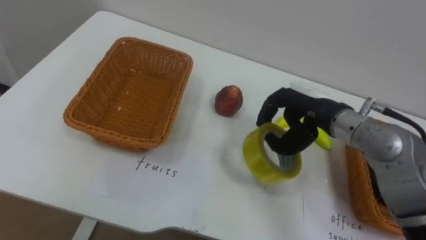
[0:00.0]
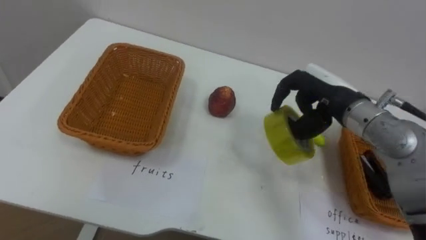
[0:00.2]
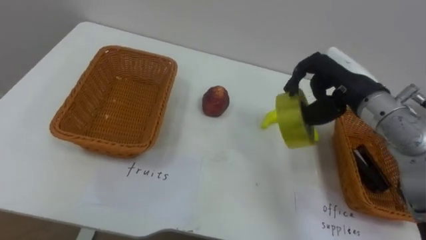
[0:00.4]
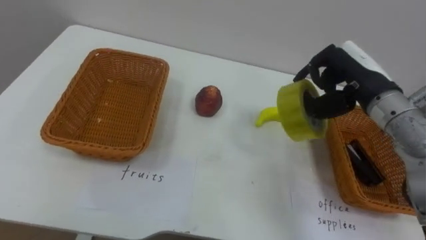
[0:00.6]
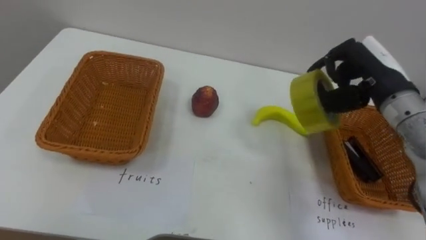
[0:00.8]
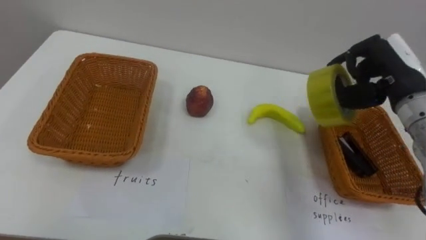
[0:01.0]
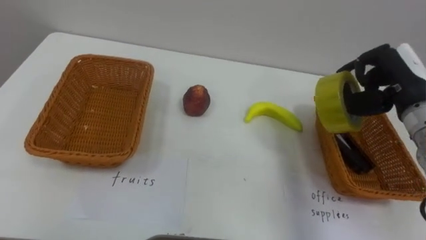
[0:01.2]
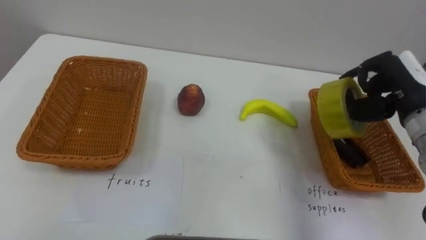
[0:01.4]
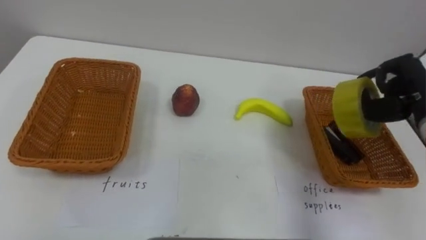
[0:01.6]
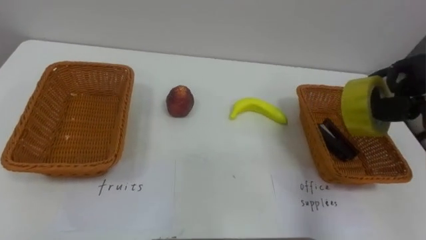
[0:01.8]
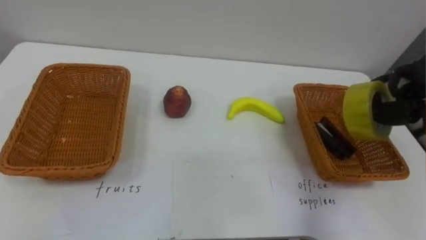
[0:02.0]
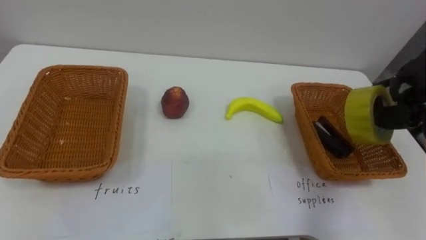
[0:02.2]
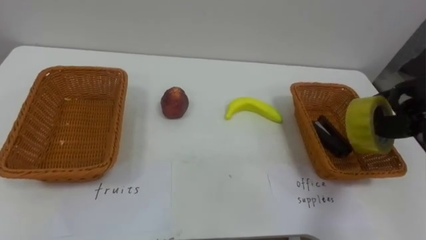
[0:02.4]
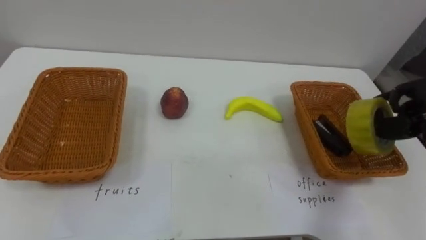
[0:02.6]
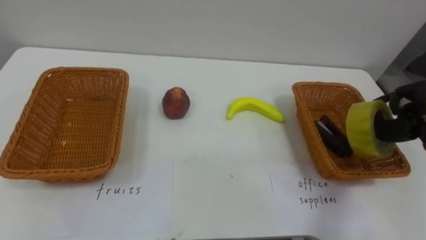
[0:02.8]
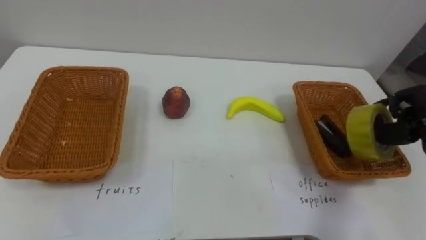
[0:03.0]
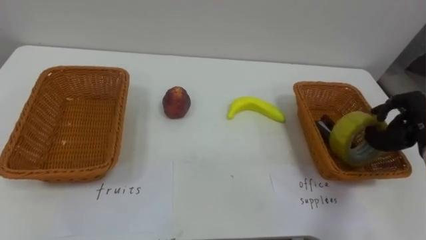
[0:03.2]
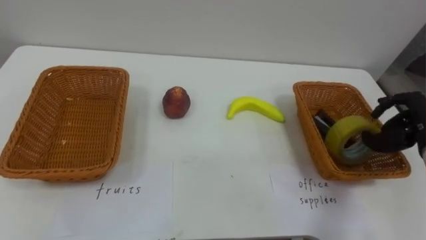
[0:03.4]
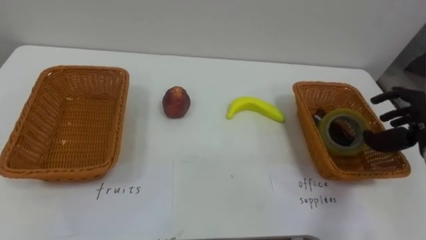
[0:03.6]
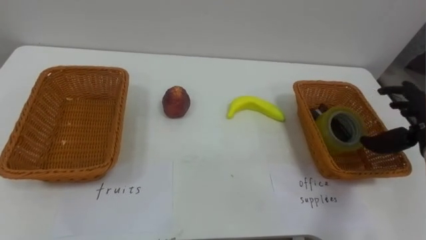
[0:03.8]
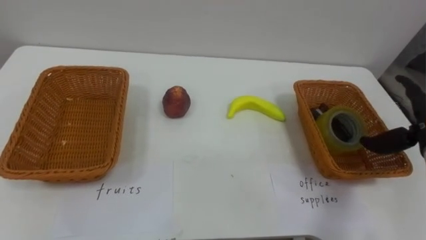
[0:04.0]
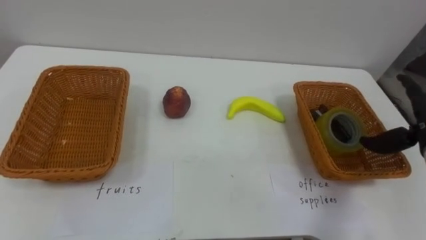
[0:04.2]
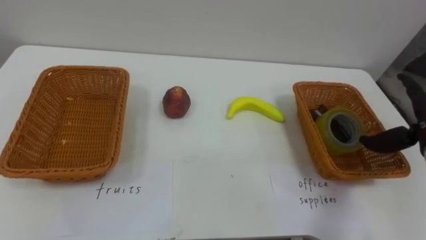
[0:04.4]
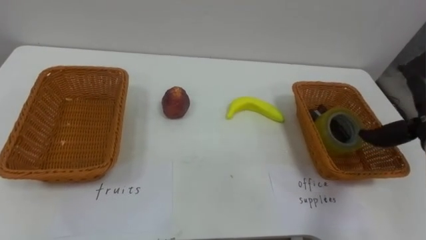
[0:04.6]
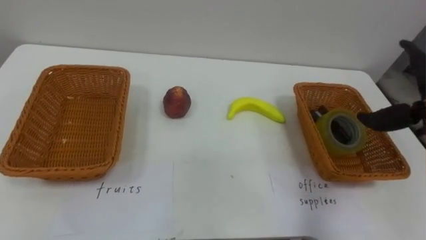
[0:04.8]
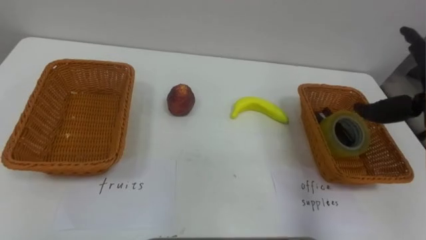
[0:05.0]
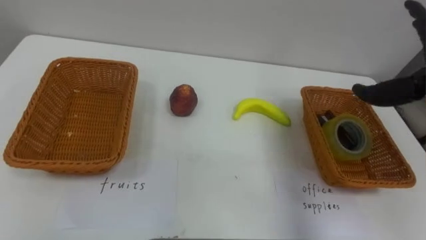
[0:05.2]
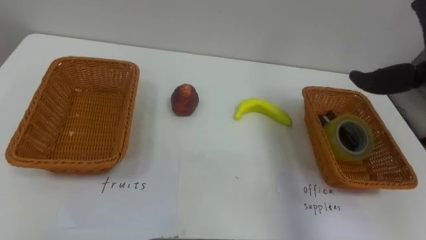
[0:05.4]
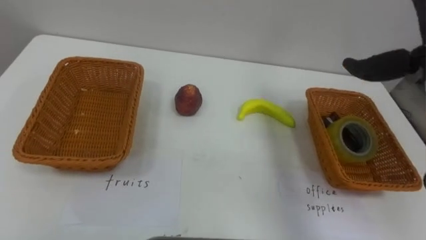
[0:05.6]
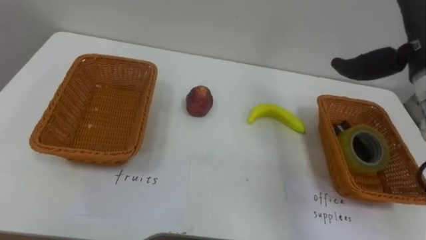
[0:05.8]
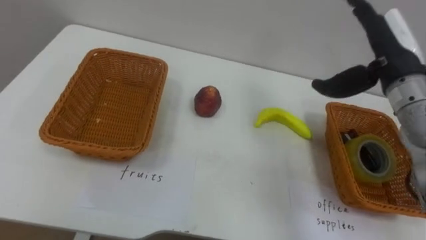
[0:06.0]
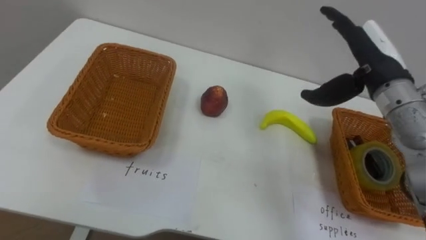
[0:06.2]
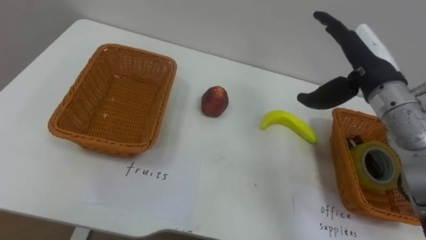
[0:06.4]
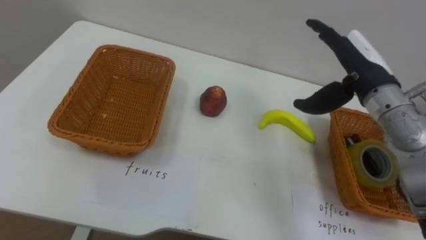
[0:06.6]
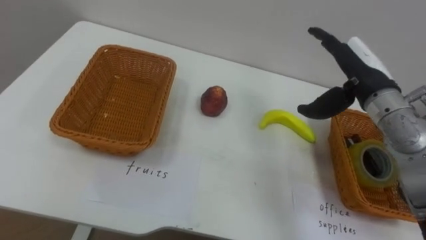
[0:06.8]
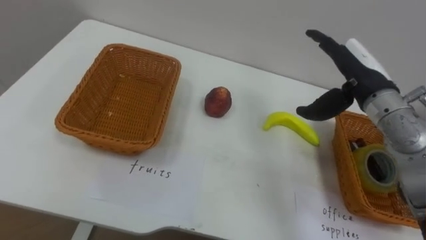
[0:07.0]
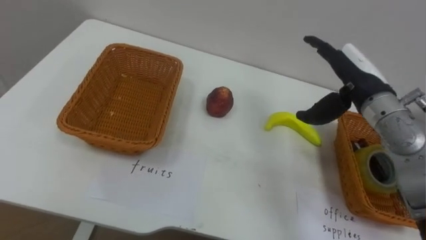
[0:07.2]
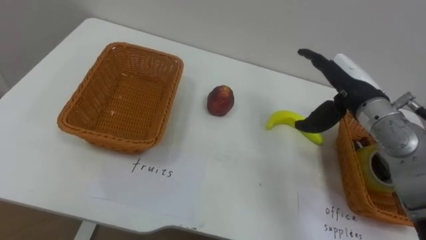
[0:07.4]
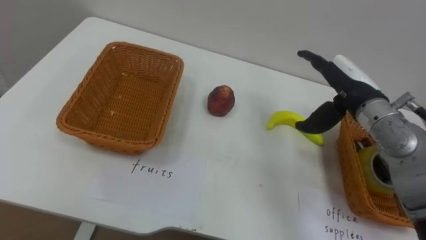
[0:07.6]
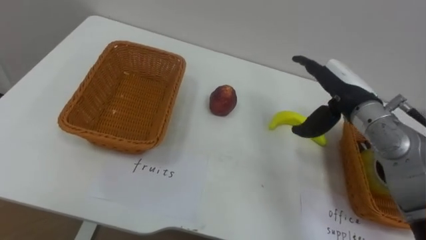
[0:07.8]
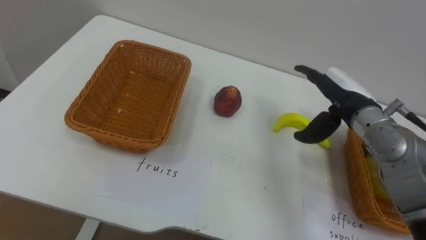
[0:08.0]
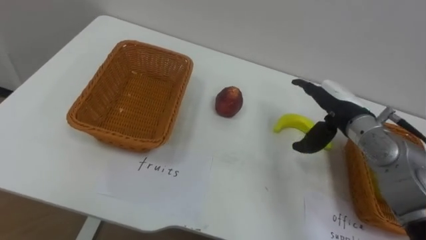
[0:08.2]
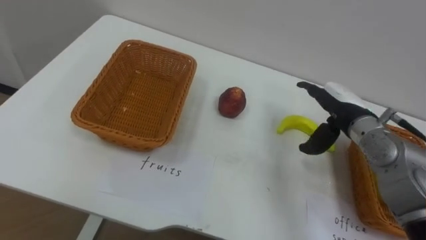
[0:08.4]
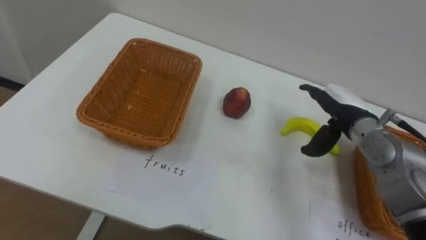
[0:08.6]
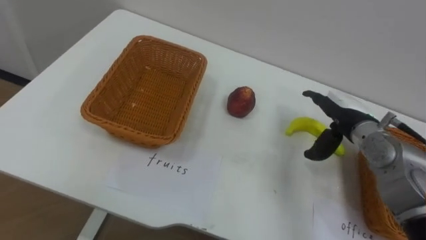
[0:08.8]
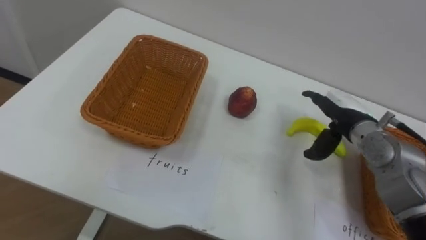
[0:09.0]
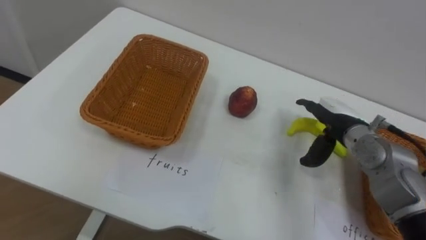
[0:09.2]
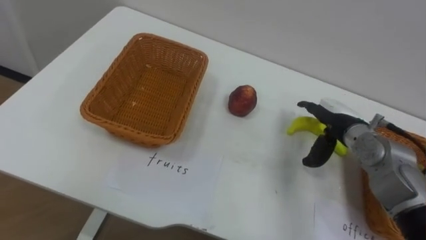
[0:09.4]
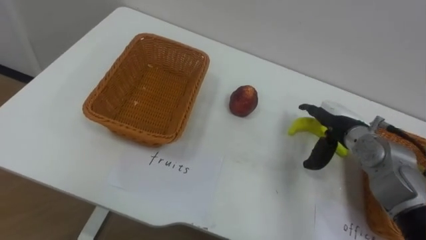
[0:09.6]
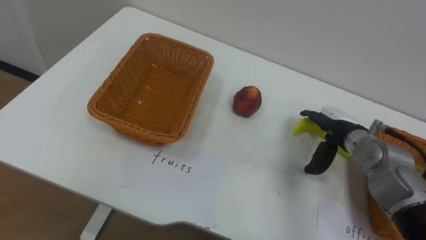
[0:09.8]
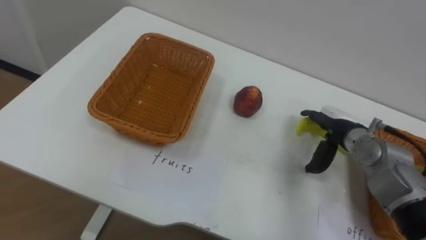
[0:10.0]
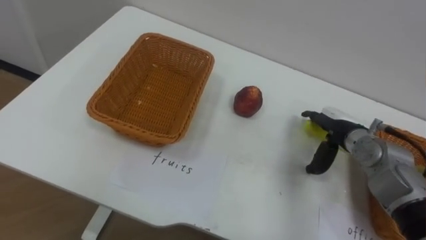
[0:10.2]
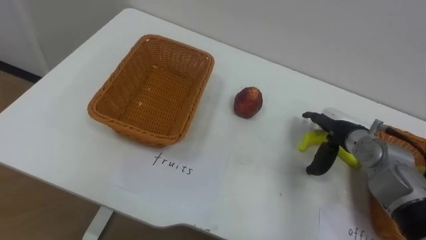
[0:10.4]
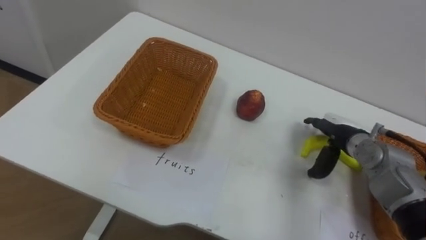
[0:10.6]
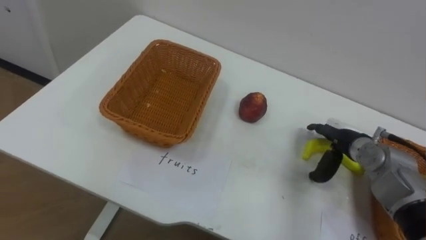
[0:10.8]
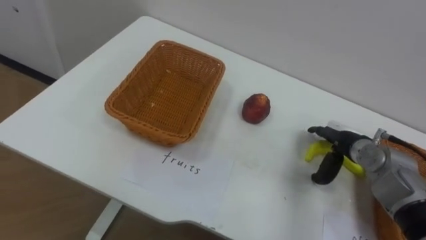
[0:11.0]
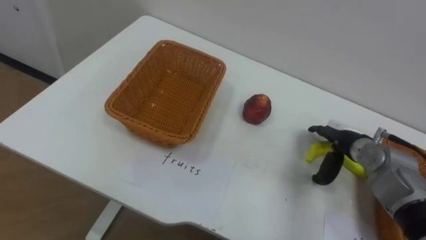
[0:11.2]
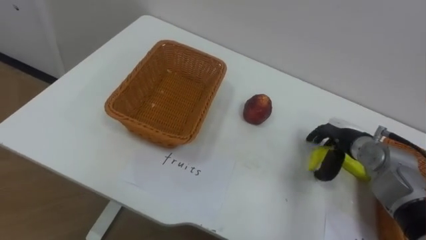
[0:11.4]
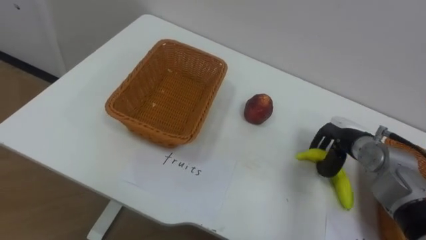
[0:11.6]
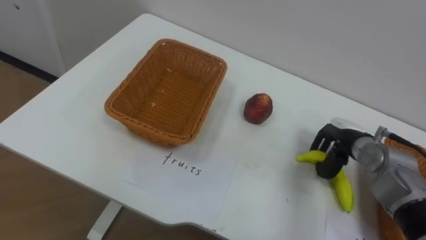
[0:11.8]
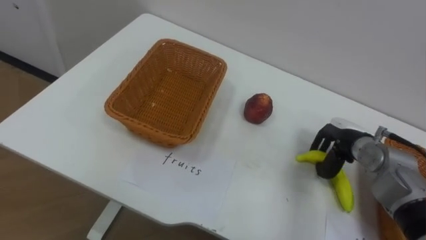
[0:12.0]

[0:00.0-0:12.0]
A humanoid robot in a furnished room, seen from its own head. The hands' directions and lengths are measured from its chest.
Task of the whole recording: Separate the items on the table and place them into the two baskets.
0:00.0 to 0:01.6: The right hand moves to the right, roughly 15 cm.
0:06.0 to 0:07.6: The right hand travels downward by some 5 cm.
0:07.6 to 0:09.0: The right hand is displaced downward by some 5 cm.
0:10.4 to 0:12.0: The right hand closes up.

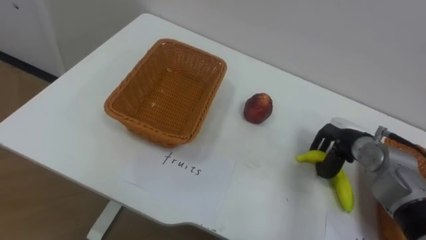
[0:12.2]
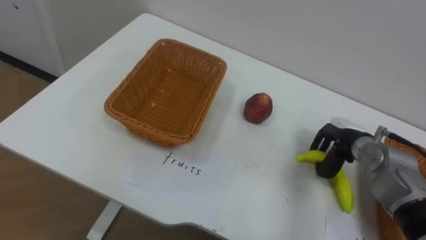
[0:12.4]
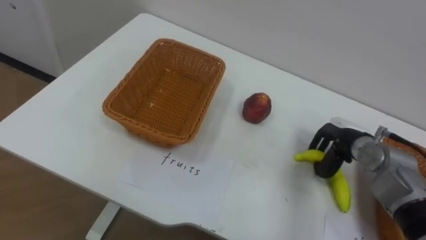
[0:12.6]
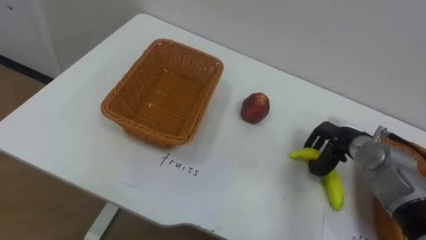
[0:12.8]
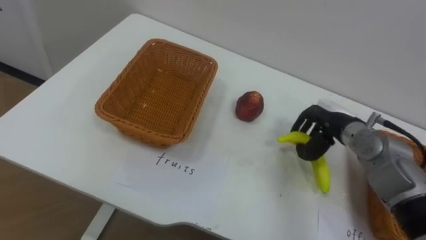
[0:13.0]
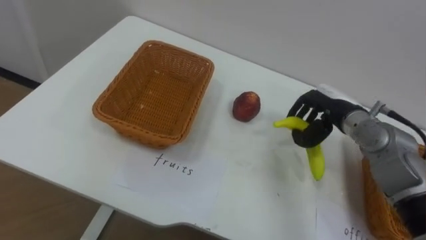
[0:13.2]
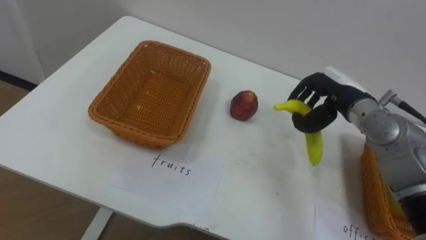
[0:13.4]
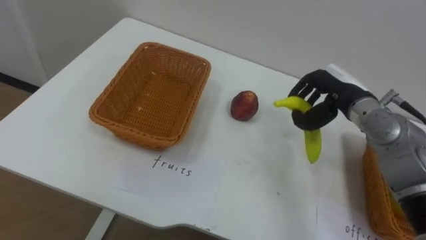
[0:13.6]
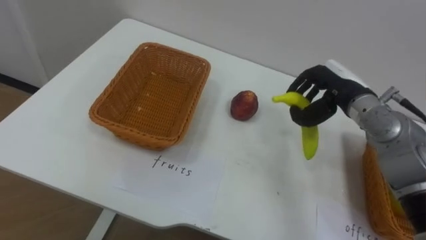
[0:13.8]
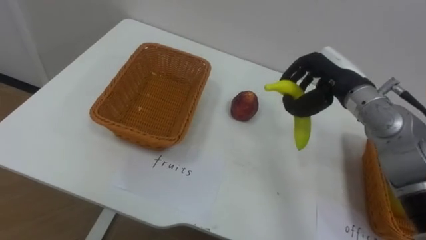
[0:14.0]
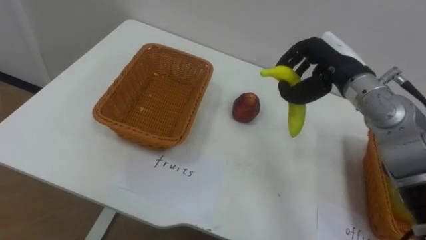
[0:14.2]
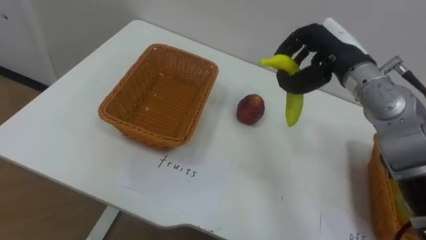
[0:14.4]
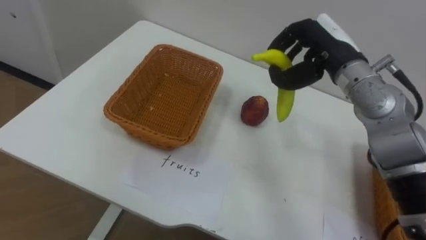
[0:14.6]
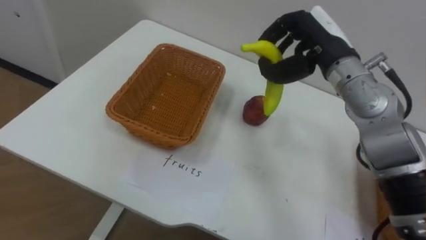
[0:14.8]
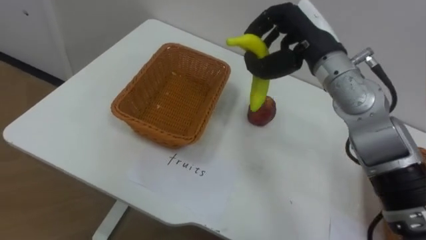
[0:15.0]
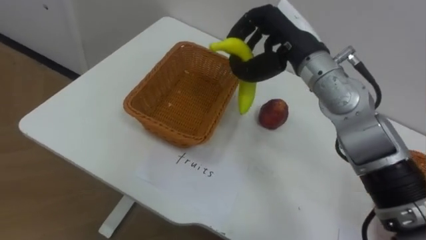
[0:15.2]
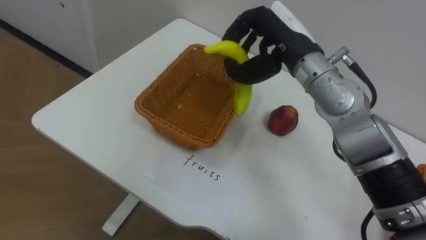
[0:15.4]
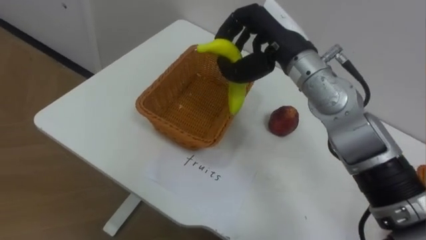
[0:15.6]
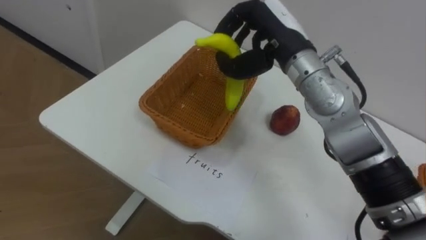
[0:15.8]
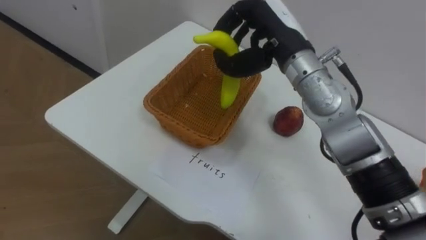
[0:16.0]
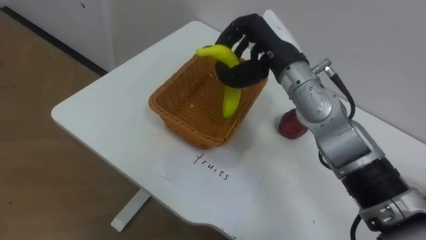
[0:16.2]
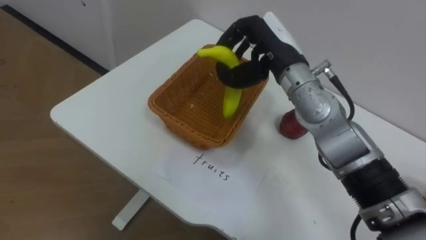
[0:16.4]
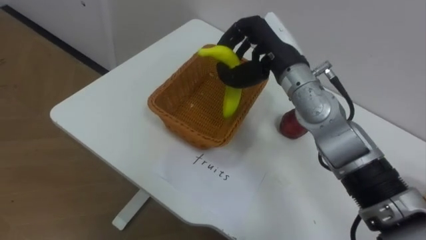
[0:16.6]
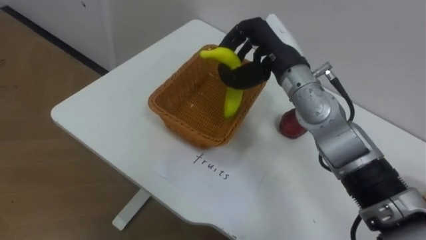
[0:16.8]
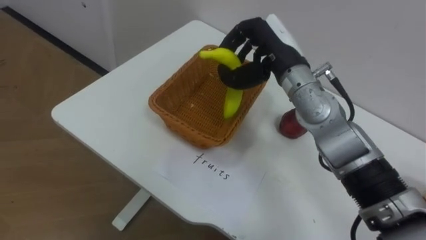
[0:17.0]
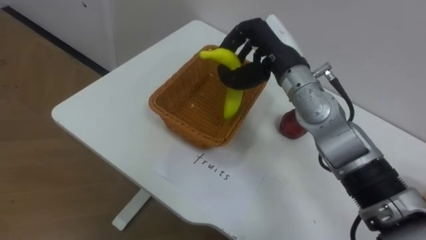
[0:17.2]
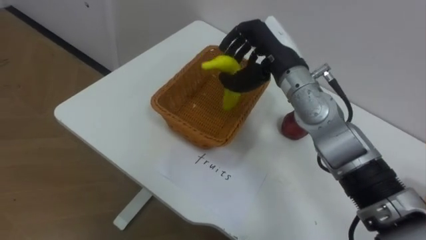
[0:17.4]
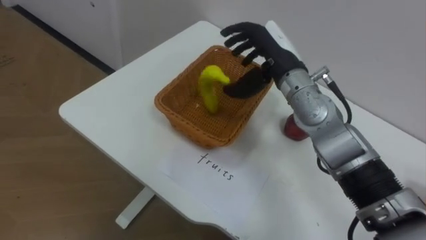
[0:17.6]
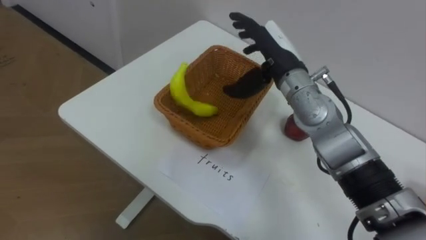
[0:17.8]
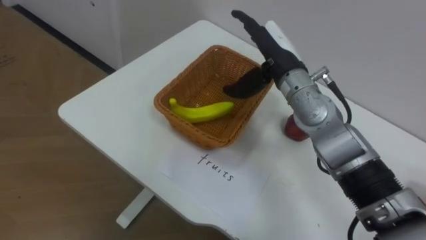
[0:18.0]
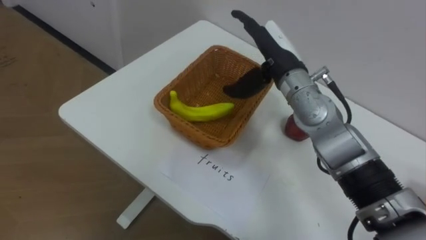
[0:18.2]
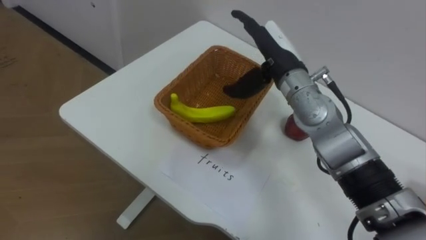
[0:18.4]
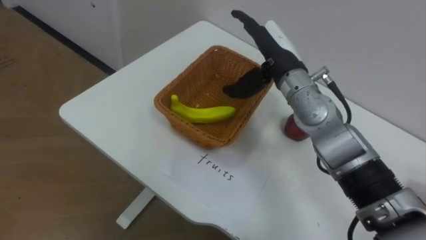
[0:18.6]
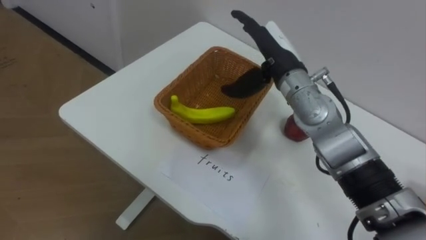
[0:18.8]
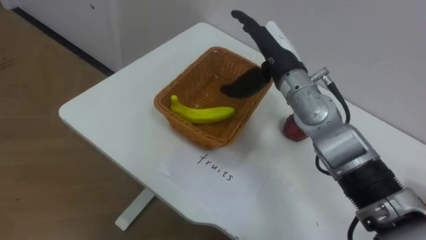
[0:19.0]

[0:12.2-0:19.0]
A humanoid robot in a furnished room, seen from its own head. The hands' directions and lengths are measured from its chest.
Task of the whole recording: Separate the items on the table and place them into the two baskets.
0:12.2 to 0:13.6: The right hand goes roughly 10 cm upward.
0:13.6 to 0:15.0: The right hand heads upward and to the left, covering approximately 15 cm.
0:15.0 to 0:16.2: The right hand travels to the left by roughly 5 cm.
0:17.6 to 0:19.0: The right hand opens its fingers.
